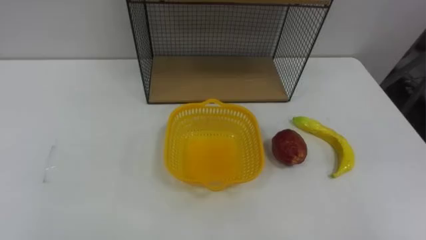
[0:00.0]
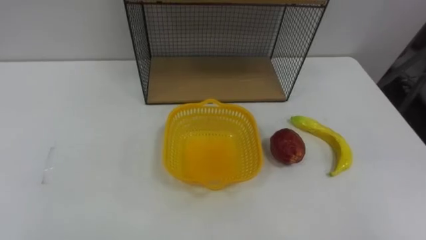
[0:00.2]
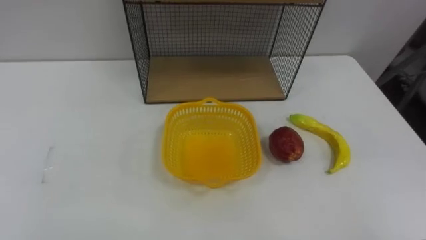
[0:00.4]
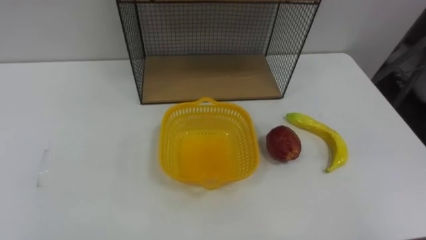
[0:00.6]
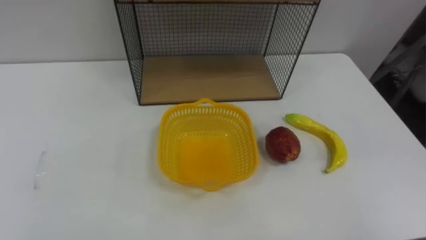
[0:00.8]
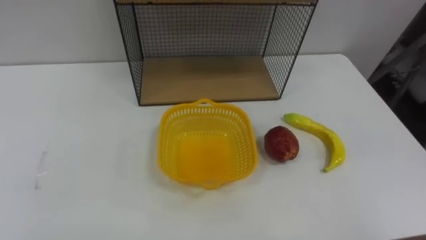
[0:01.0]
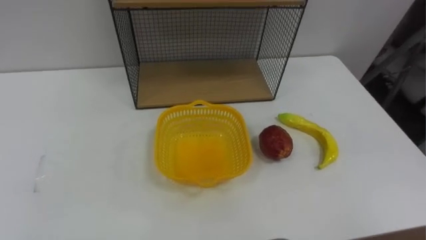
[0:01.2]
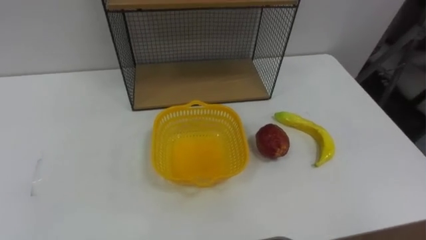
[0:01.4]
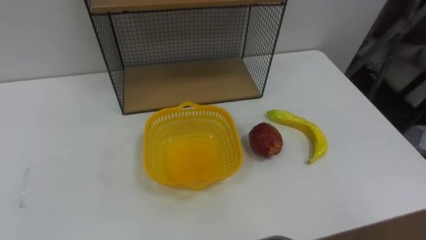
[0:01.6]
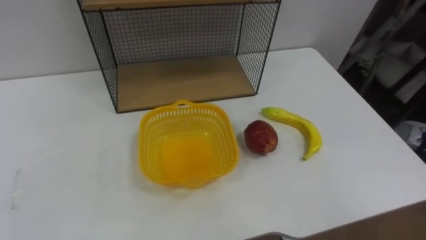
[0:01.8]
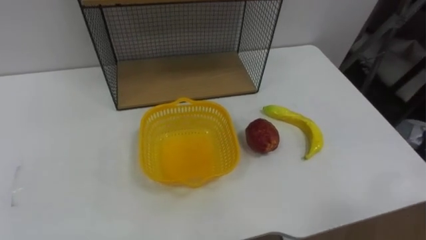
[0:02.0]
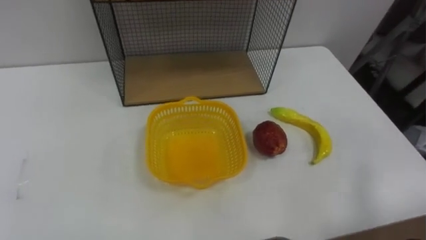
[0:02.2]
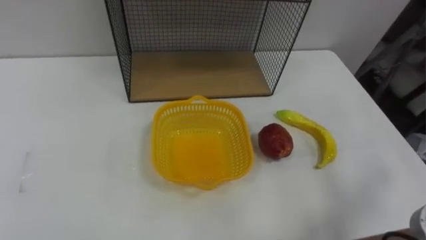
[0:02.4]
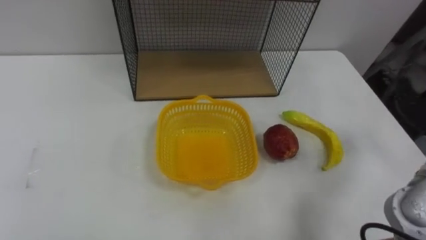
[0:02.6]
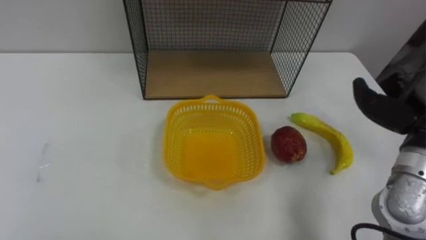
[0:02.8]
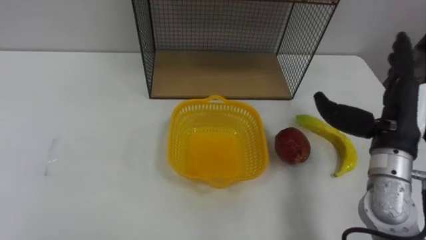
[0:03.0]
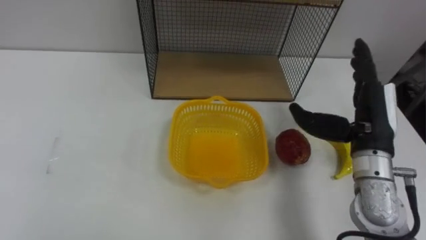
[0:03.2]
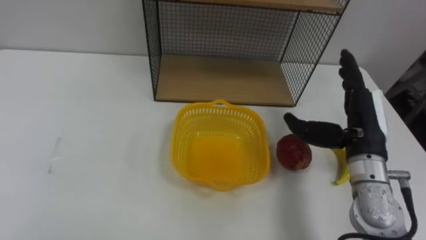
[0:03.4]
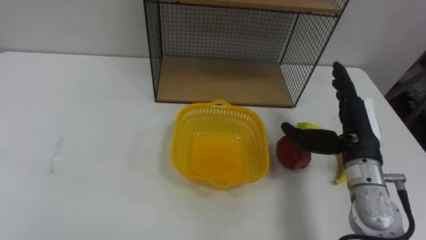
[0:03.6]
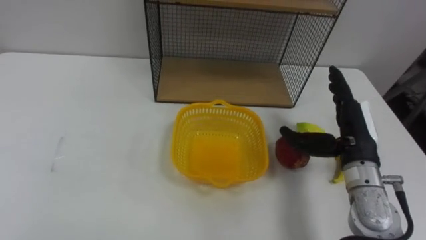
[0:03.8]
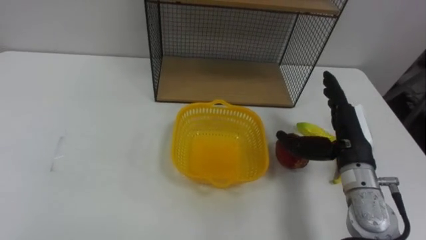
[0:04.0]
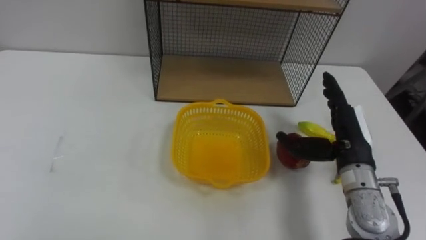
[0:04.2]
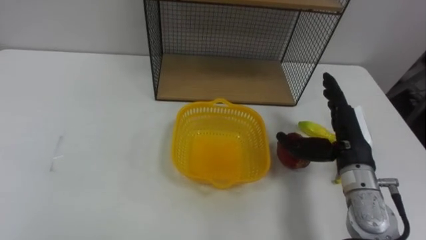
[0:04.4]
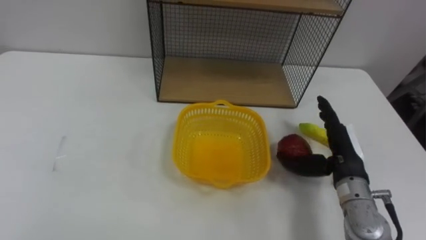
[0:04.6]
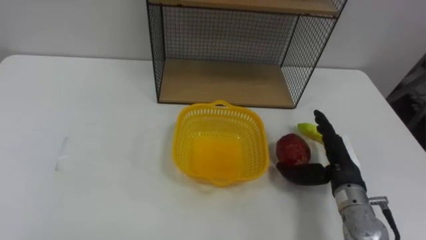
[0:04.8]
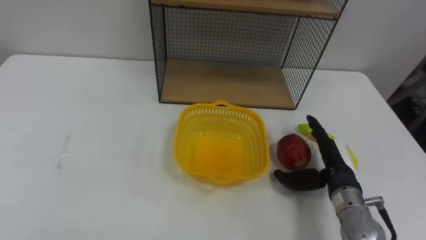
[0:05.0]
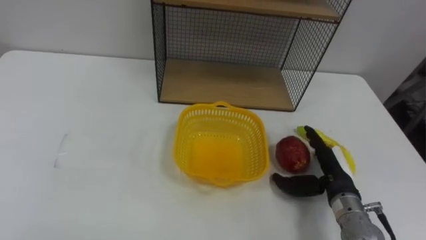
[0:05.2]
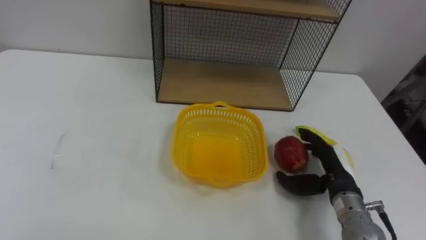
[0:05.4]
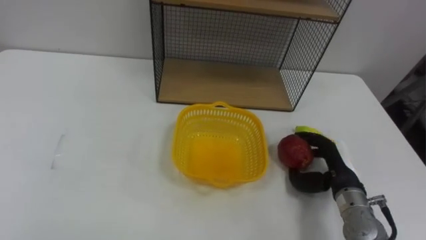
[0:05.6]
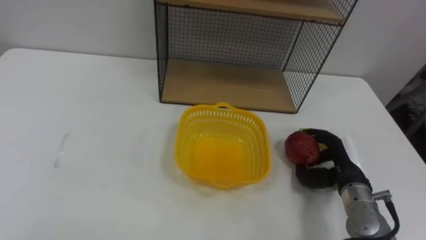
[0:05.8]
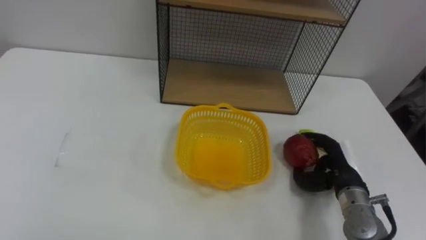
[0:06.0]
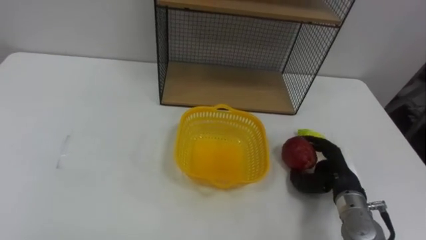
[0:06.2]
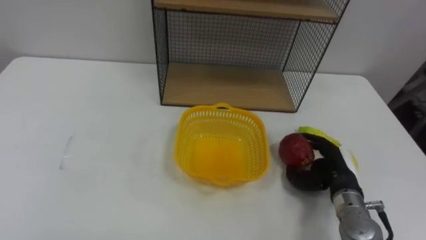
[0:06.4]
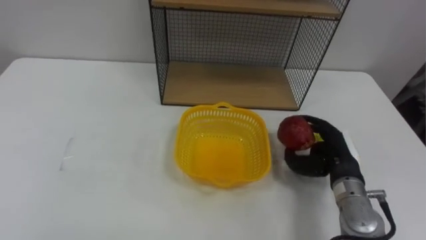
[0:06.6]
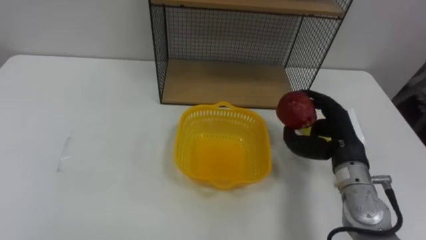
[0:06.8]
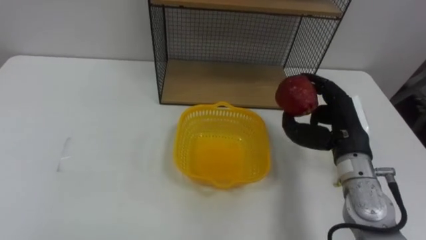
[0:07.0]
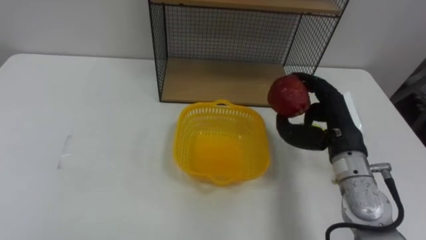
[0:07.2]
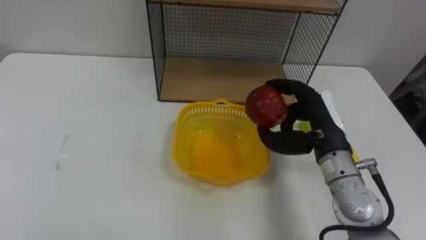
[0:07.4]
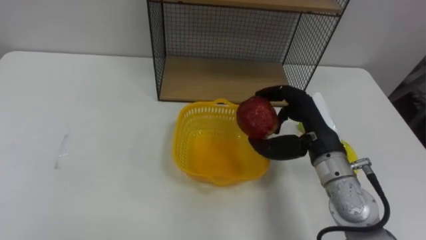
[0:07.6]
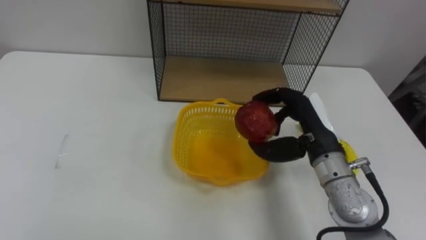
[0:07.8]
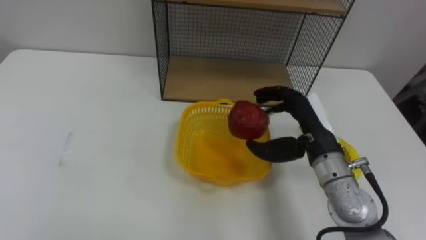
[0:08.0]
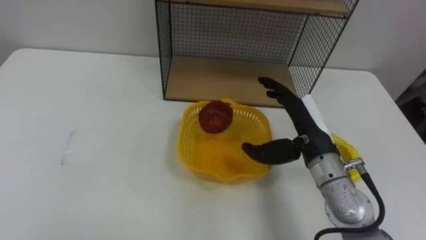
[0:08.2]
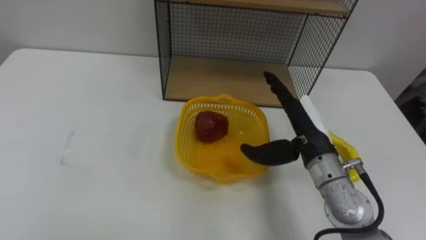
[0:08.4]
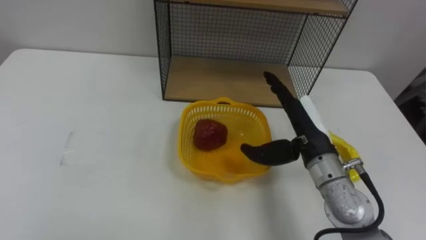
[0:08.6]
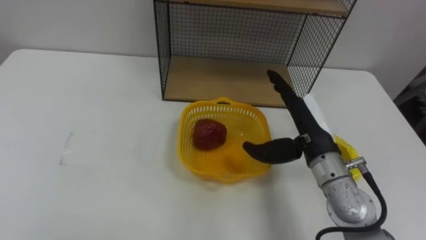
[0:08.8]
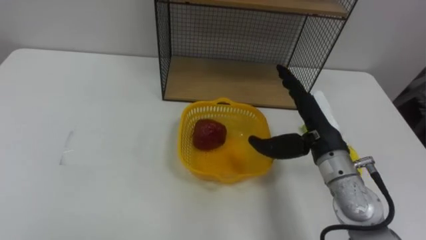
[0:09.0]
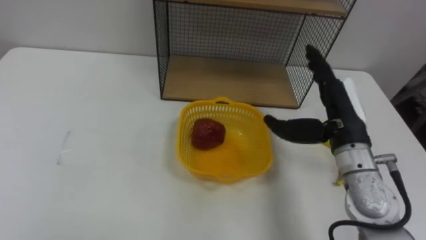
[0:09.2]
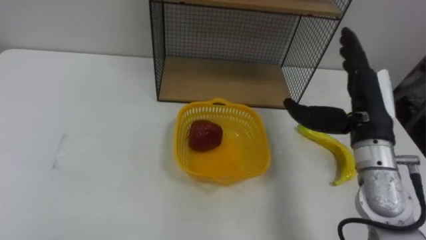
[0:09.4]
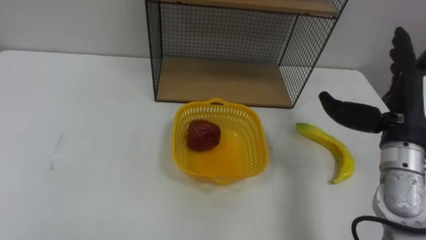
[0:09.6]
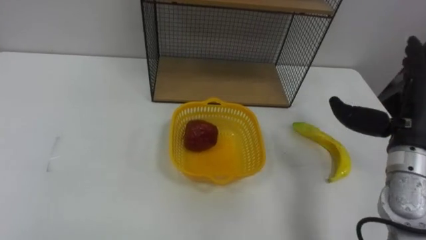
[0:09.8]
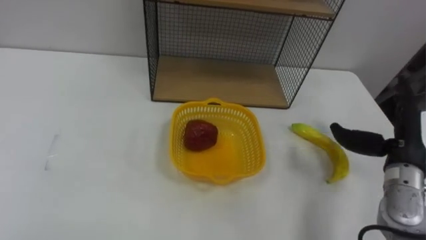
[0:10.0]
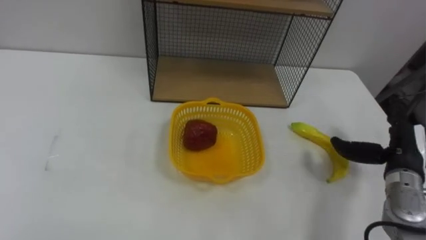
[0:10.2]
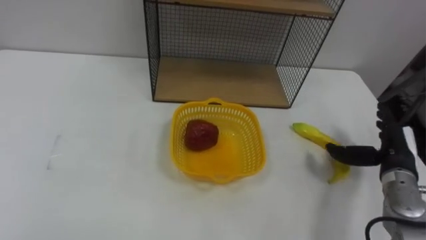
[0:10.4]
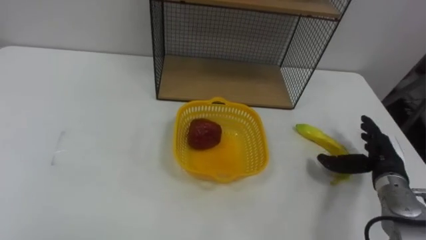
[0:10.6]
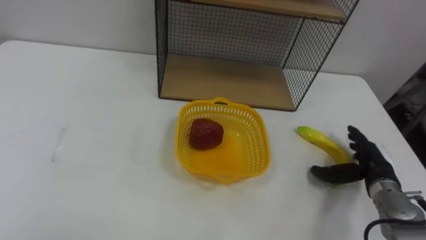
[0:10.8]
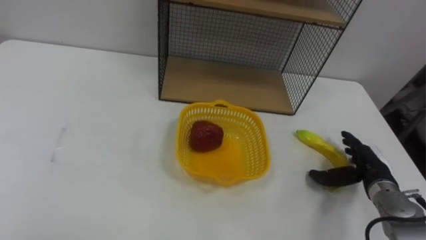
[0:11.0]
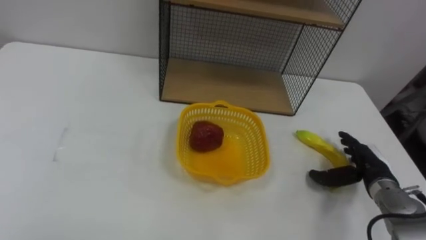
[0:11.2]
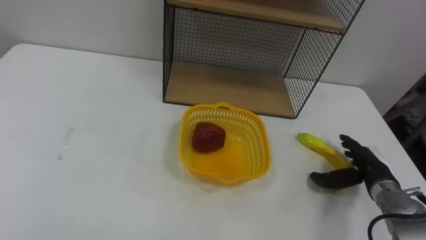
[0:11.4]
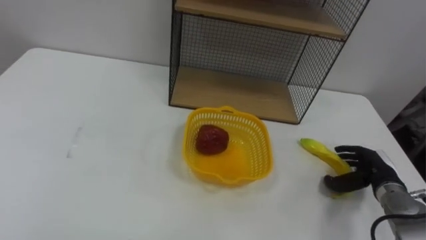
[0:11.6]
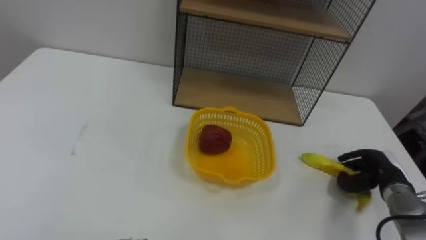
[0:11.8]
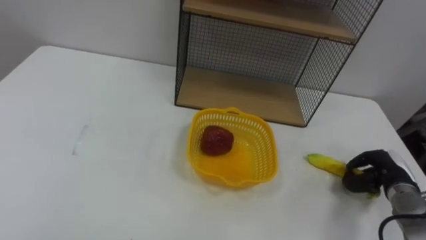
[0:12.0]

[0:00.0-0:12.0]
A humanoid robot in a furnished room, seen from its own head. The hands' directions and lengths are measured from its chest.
Task of the whole recording: Put the fruit on the table into the basket, then place the basket on the shelf.
0:03.0 to 0:04.4: The right hand travels downward by roughly 5 cm.
0:04.4 to 0:06.0: The right hand goes some 10 cm downward, and closes.
0:06.0 to 0:07.6: The right hand heads upward and to the left, covering about 15 cm.
0:07.6 to 0:09.0: The right hand opens.
0:09.0 to 0:10.4: The right hand moves to the right and downward, some 20 cm.
0:10.4 to 0:12.0: The right hand is displaced downward by some 10 cm, and closes up.

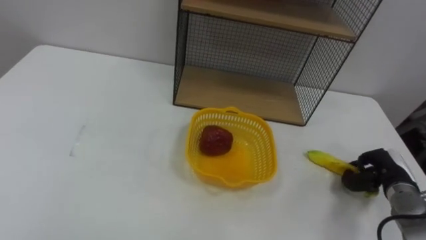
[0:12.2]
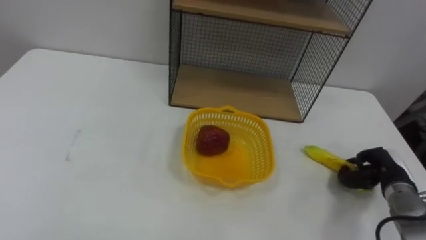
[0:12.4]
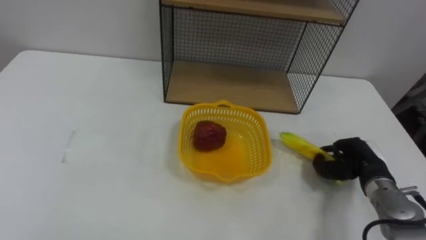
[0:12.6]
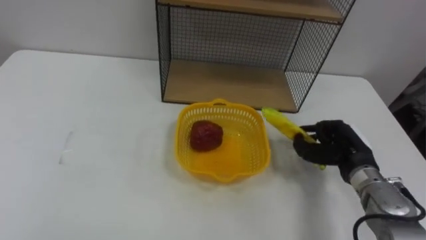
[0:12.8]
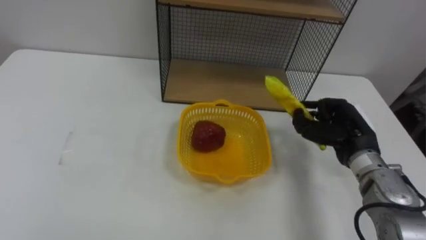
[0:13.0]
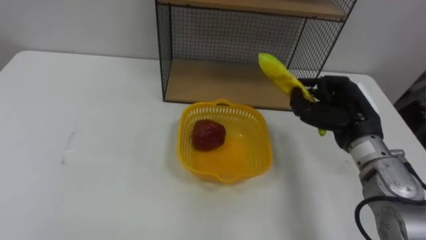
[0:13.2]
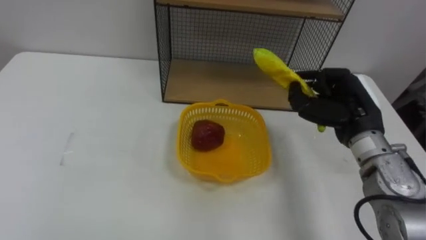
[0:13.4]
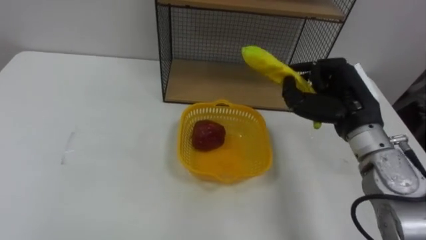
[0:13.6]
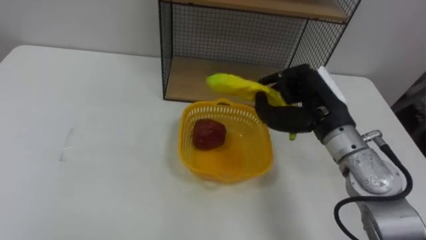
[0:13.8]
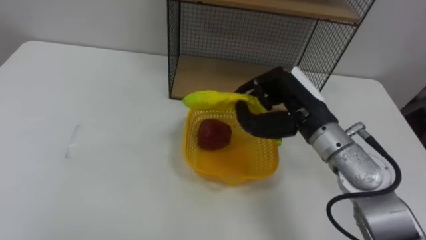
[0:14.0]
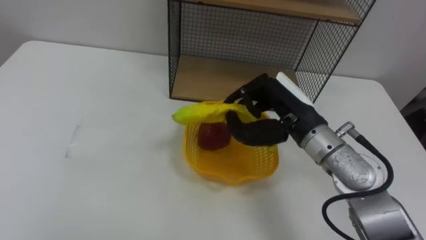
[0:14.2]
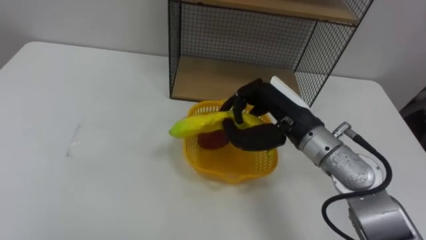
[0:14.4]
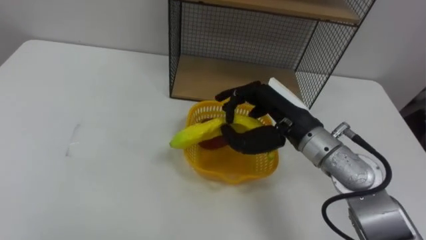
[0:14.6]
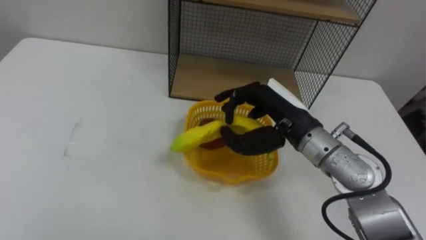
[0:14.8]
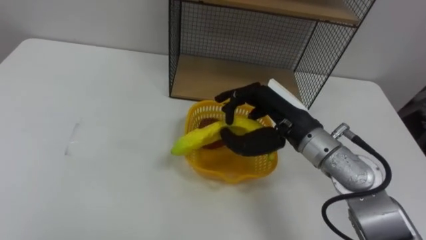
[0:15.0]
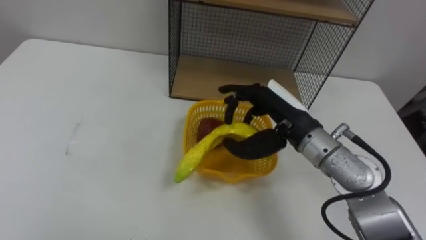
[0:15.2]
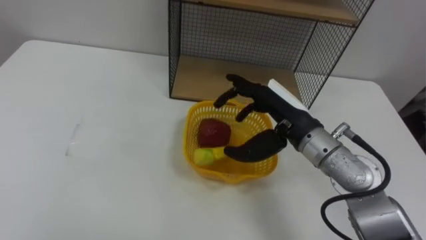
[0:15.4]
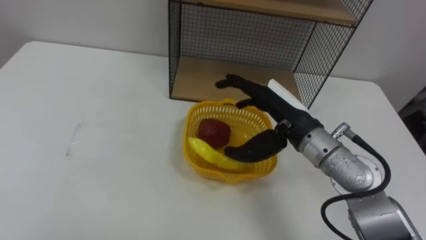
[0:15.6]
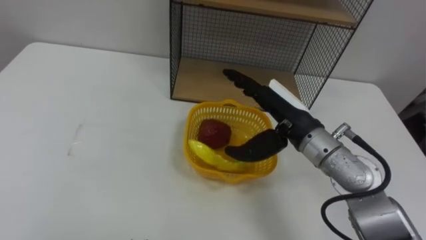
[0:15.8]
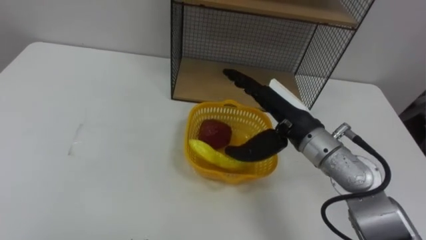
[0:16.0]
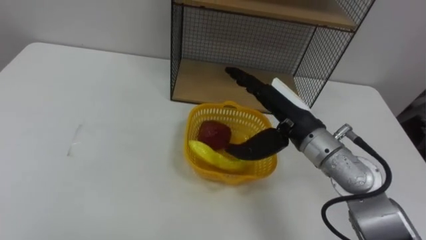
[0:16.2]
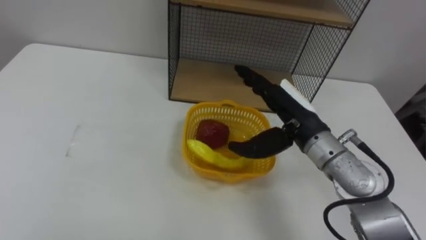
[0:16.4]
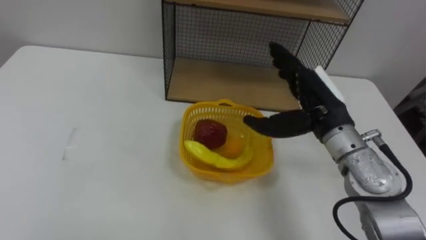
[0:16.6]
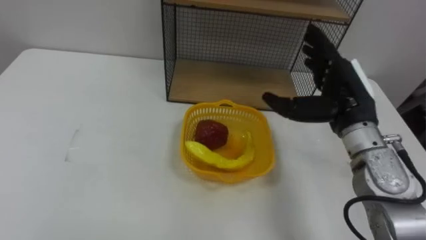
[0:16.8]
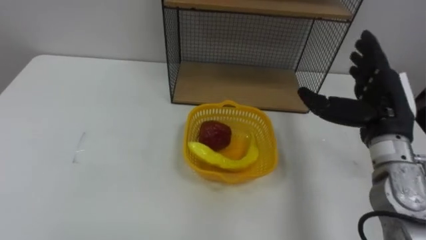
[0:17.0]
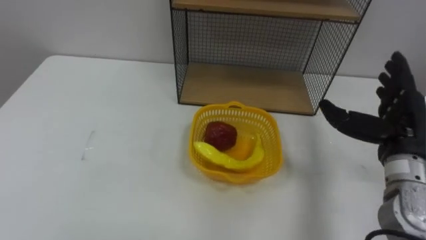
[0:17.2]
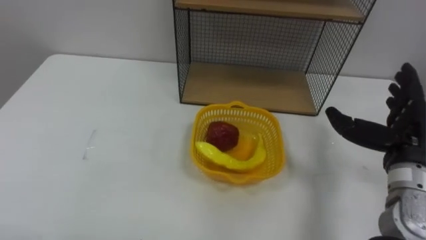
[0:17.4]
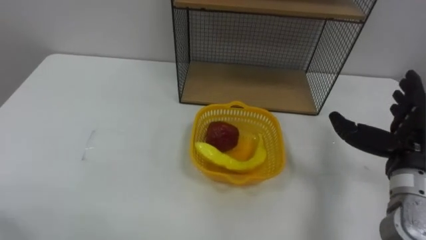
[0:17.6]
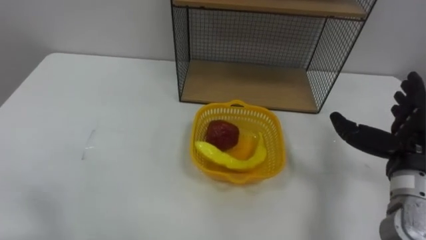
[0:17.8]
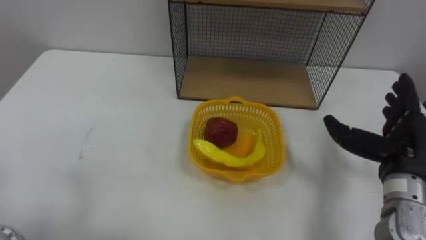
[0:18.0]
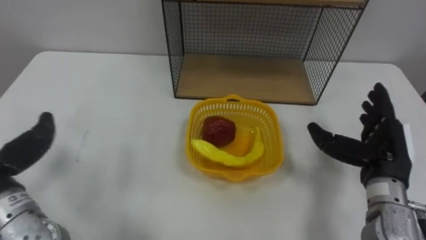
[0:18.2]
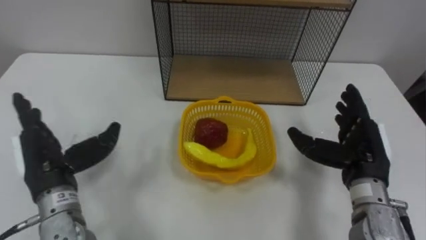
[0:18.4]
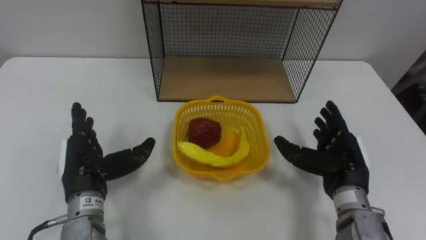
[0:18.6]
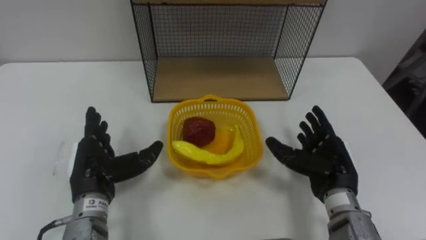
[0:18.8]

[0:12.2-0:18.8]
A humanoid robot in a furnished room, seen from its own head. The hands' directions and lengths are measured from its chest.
Task of the whole recording: Put the fruit on the table into the basket, then place the basket on the shelf.
0:12.2 to 0:13.8: The right hand heads upward and to the left, covering some 25 cm.
0:13.8 to 0:15.4: The right hand shifts approximately 5 cm to the left, and opens.
0:15.4 to 0:17.2: The right hand is displaced to the right by some 15 cm.
0:17.2 to 0:18.8: The right hand heads downward and to the left, covering some 10 cm.
